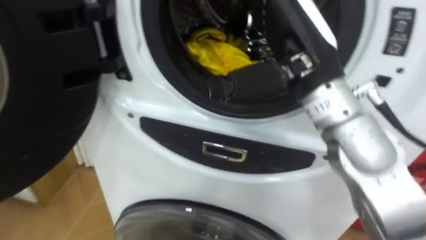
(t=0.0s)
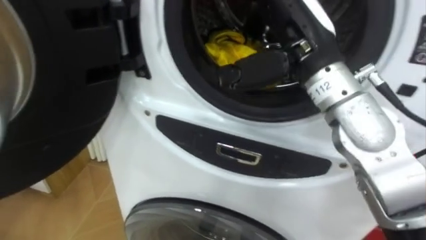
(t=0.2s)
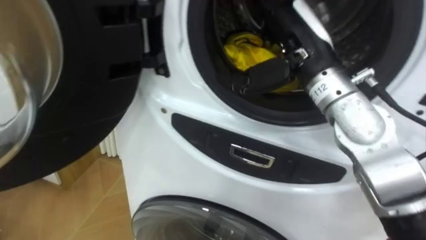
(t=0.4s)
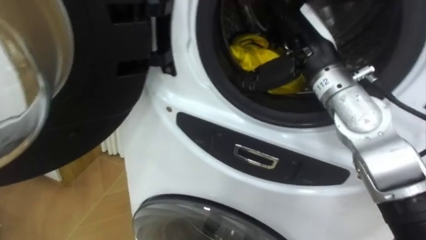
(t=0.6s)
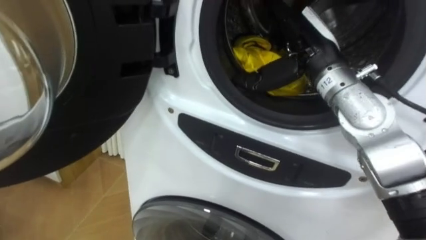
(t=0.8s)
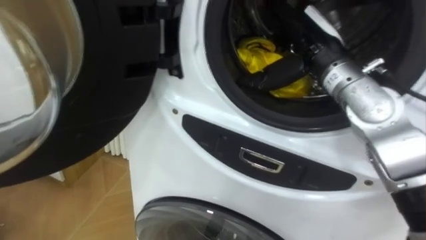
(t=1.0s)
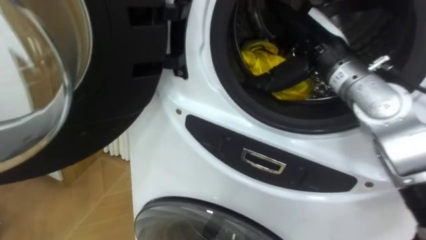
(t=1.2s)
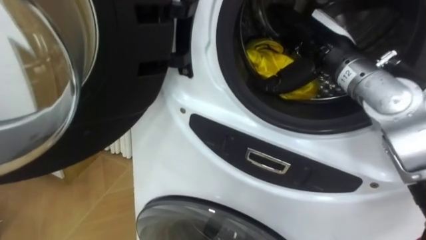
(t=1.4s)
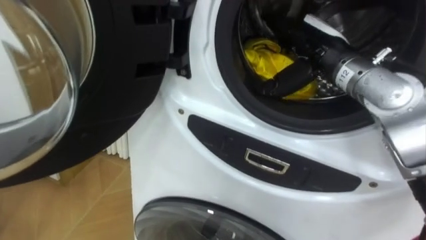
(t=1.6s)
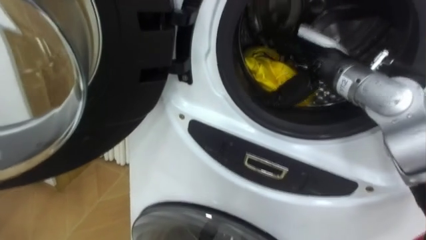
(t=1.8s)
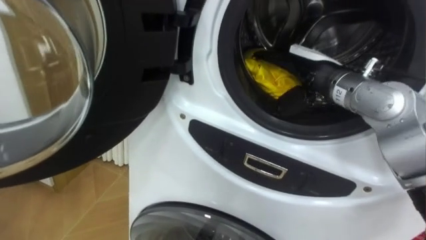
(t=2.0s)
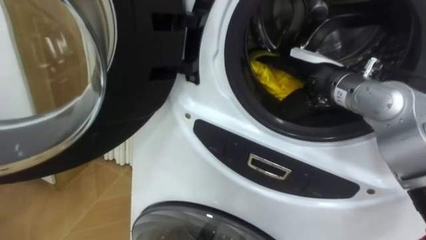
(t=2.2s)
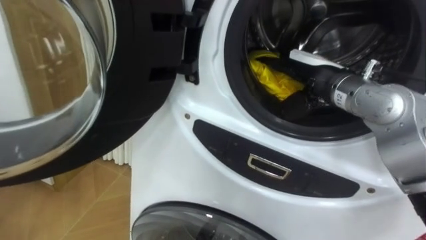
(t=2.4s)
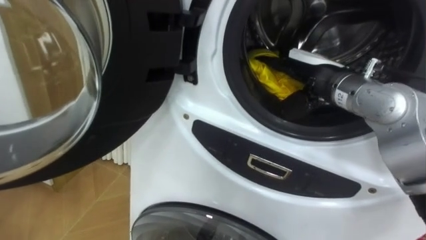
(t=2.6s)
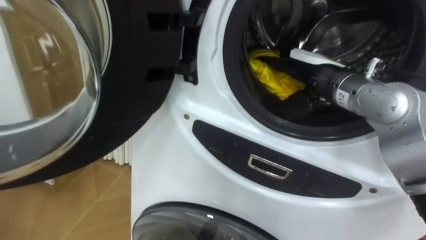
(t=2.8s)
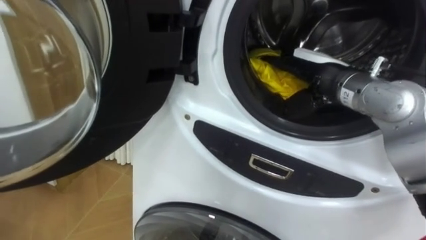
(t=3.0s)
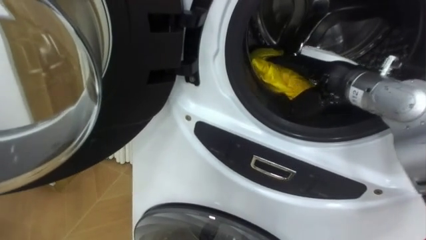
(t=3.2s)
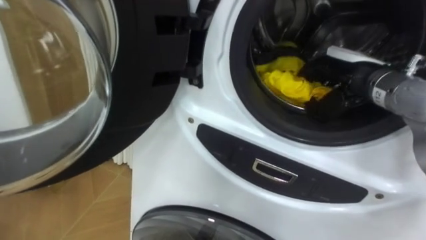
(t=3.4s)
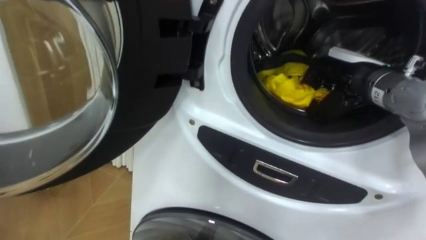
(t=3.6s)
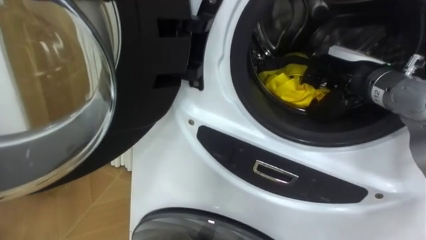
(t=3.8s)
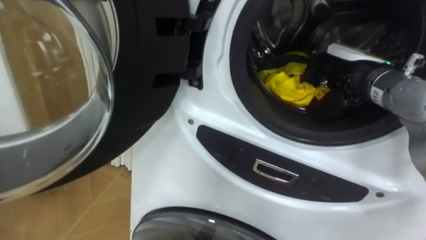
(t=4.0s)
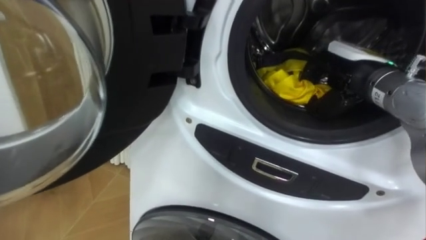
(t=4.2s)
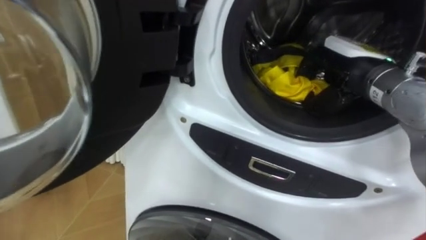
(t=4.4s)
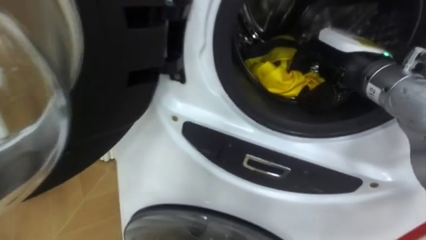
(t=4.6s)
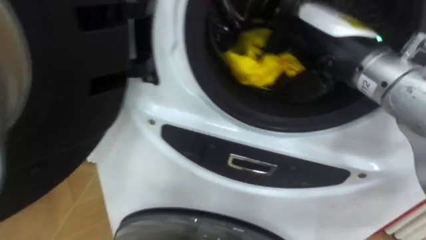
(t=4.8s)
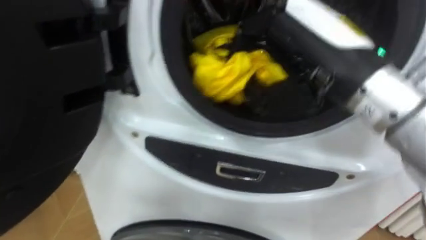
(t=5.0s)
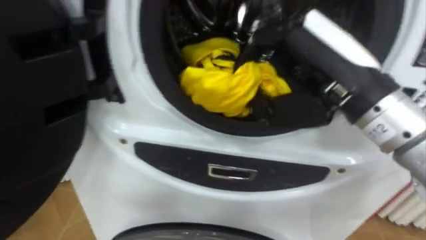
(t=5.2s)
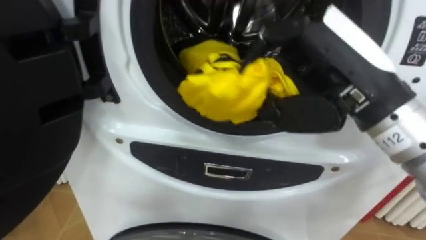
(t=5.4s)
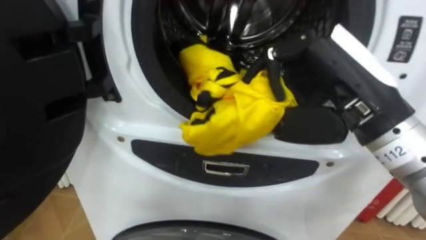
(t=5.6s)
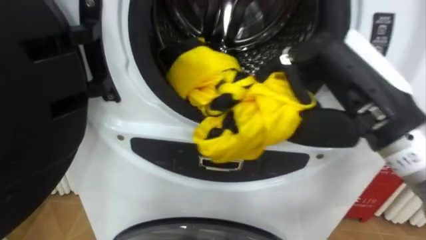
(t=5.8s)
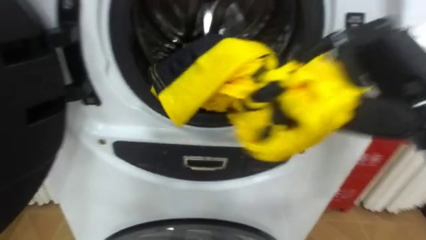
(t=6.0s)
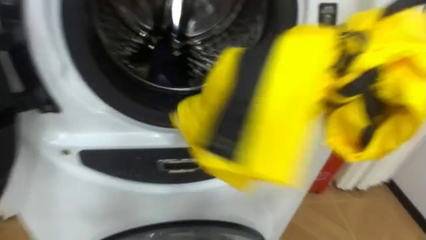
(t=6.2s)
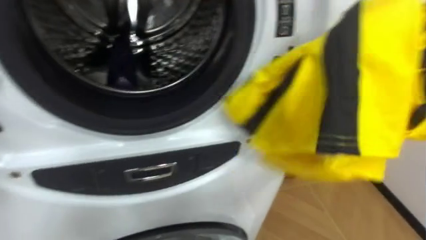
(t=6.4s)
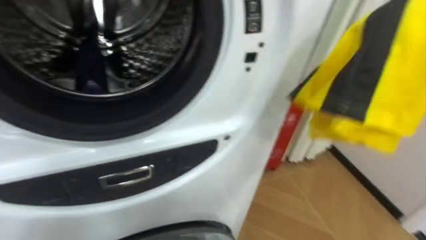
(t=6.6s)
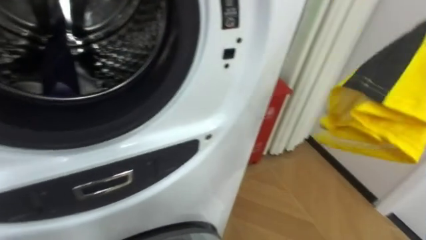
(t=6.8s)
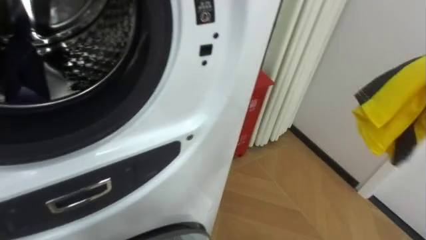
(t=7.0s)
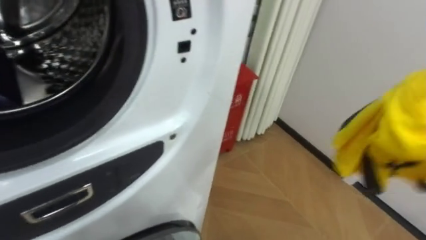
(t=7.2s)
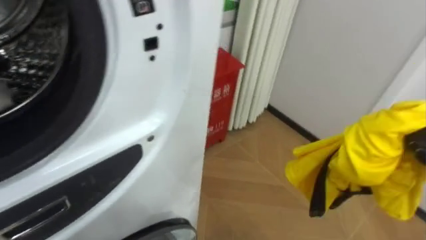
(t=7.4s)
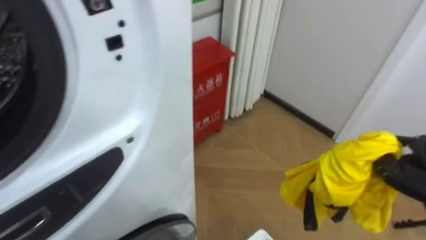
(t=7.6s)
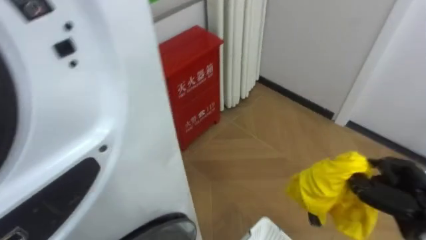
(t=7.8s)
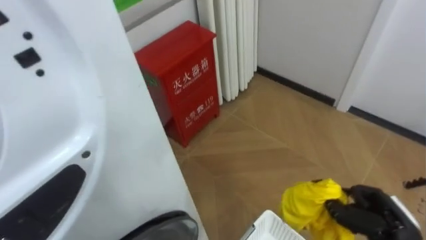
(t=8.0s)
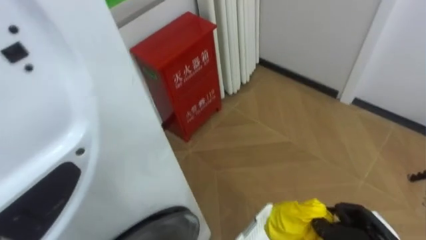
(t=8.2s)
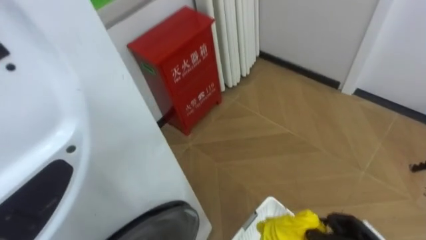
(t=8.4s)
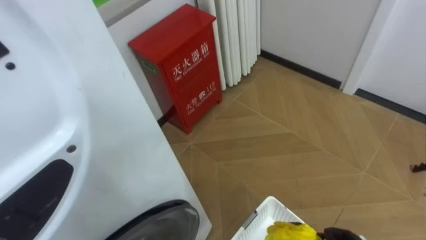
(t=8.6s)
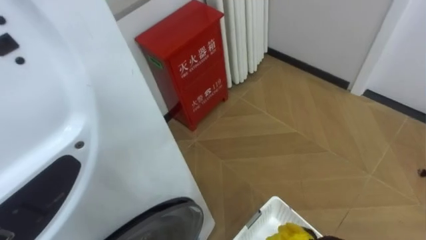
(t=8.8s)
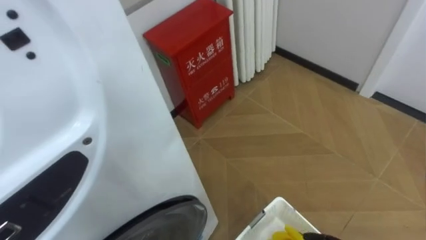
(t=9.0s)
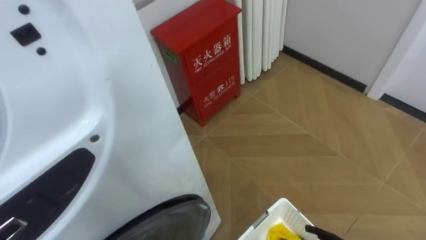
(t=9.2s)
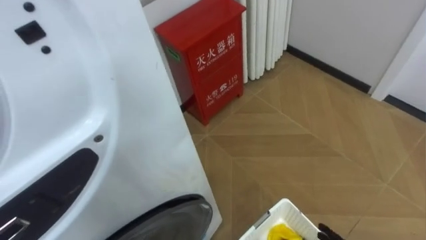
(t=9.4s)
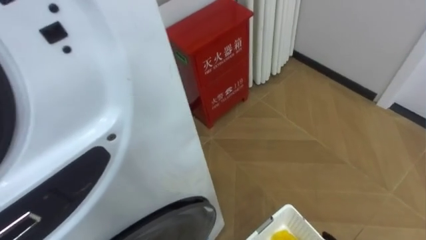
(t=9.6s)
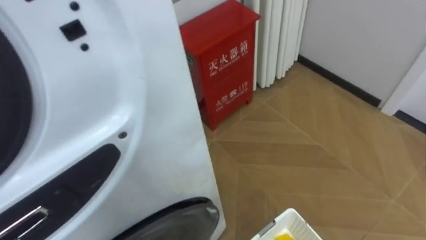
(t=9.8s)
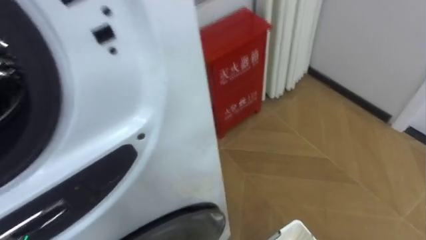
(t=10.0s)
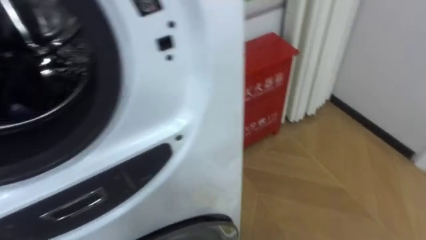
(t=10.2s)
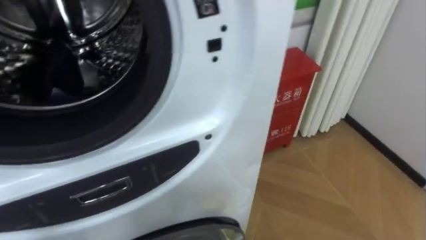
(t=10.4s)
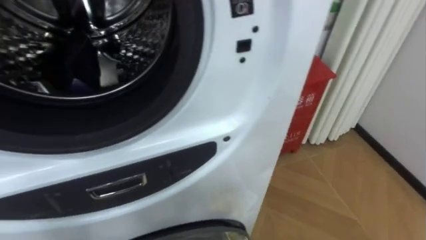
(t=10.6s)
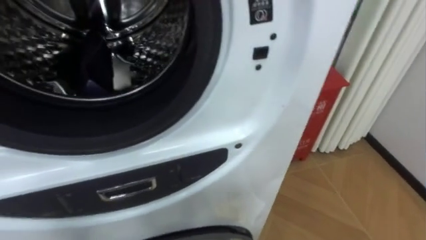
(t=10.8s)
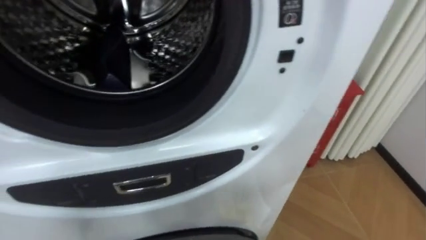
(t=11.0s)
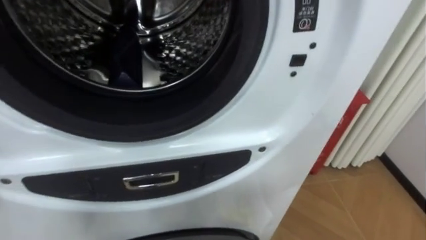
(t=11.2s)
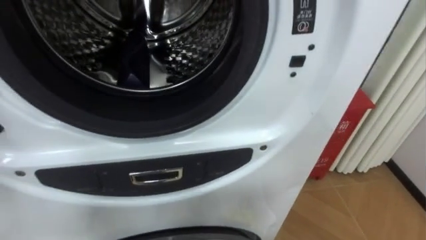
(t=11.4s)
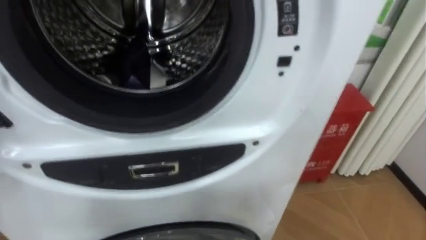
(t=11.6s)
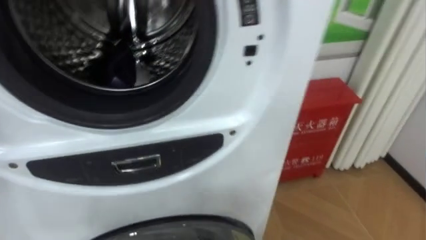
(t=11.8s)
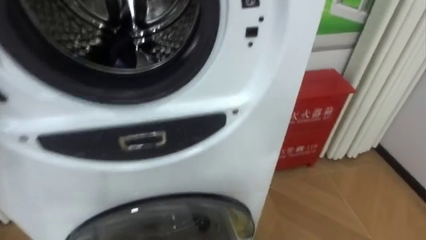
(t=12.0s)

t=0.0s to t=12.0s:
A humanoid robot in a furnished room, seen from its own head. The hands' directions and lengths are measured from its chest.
Task of the whole recording: Open the washing machine door, take out the yellow clothes, place them in the box on the right, and close the washing machine door.
t=0.0s to t=1.6s: The right hand travels forward, to the right and downward by roughly 15 cm.
t=3.0s to t=4.4s: The right hand closes.
t=4.4s to t=6.0s: The right hand goes approximately 15 cm backward and upward.
t=6.0s to t=7.6s: The robot rotates about 30 degrees to its right.

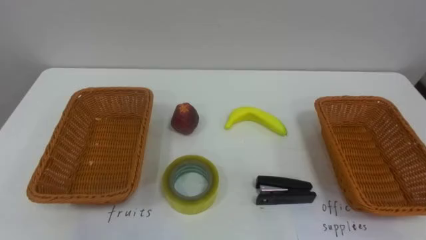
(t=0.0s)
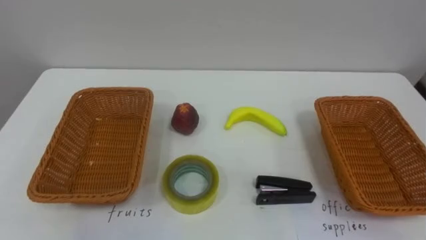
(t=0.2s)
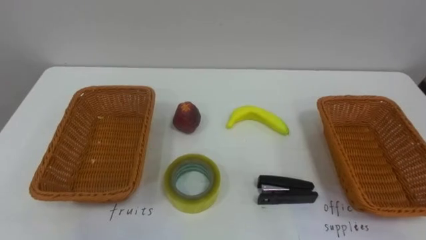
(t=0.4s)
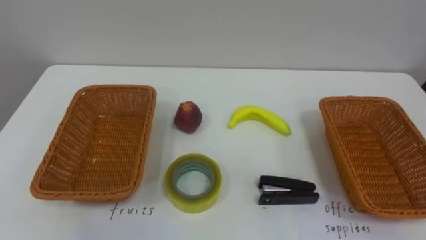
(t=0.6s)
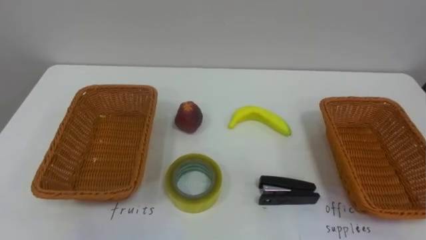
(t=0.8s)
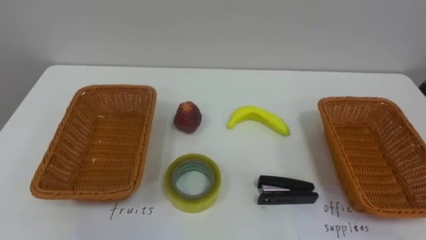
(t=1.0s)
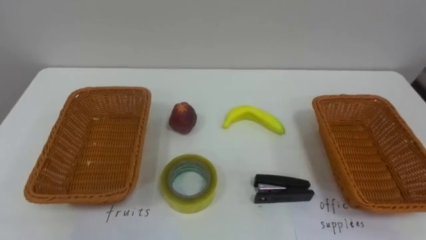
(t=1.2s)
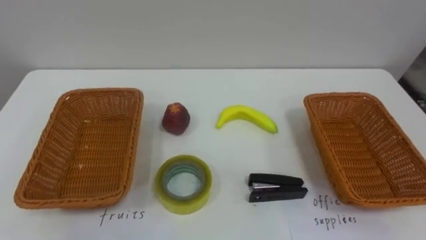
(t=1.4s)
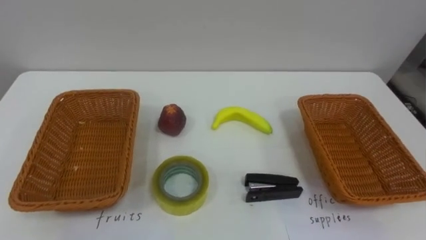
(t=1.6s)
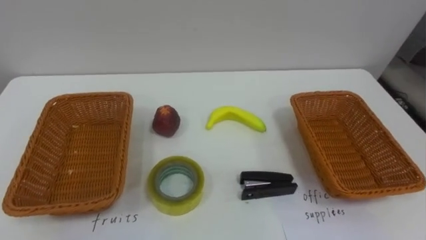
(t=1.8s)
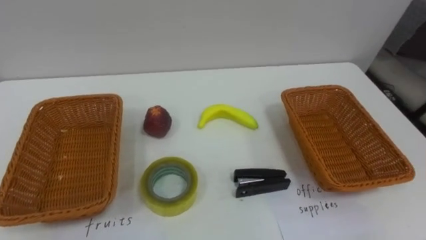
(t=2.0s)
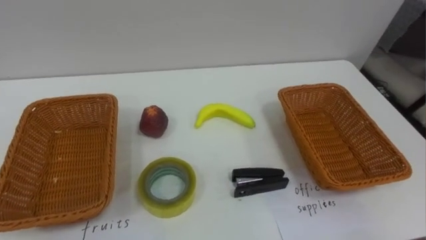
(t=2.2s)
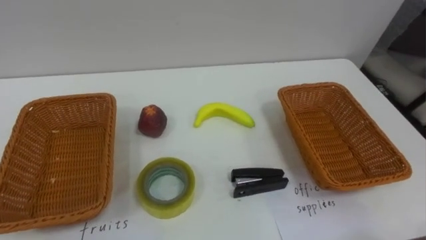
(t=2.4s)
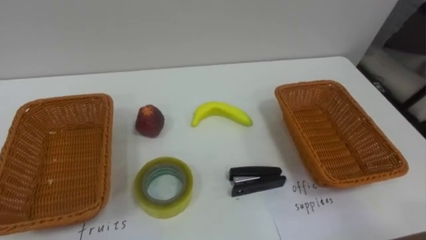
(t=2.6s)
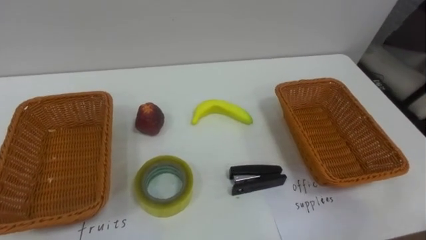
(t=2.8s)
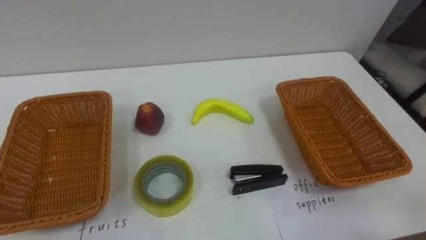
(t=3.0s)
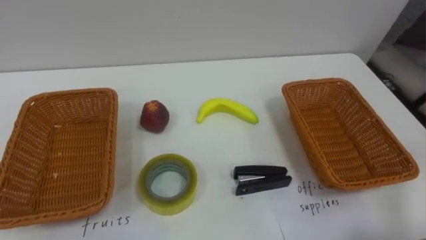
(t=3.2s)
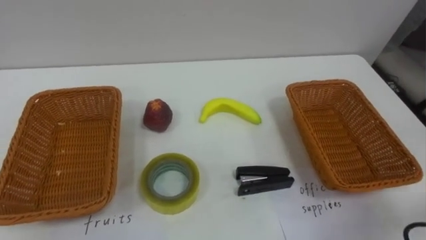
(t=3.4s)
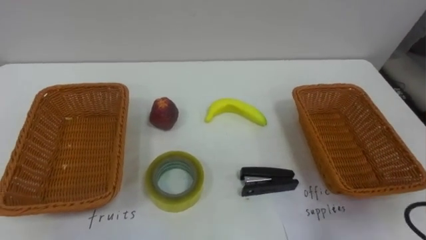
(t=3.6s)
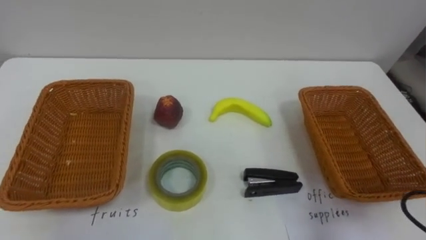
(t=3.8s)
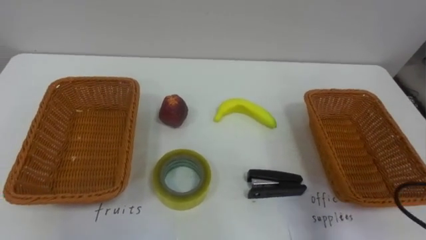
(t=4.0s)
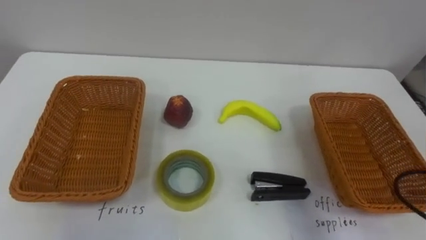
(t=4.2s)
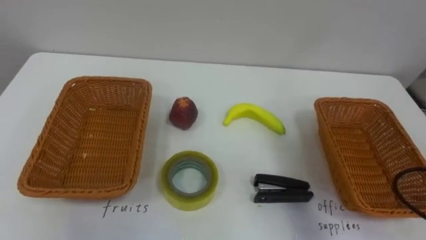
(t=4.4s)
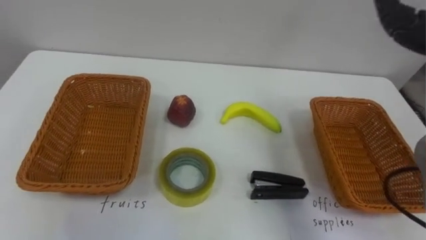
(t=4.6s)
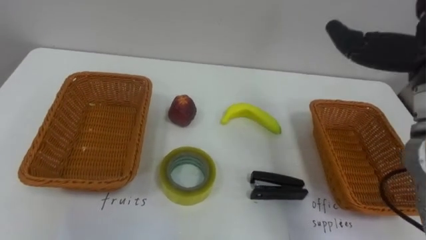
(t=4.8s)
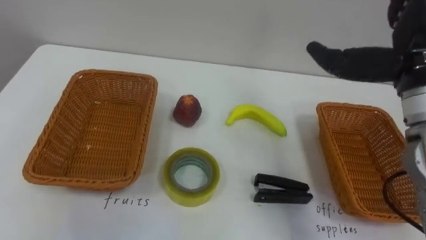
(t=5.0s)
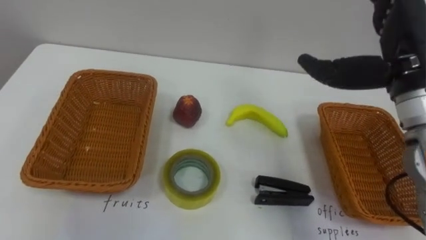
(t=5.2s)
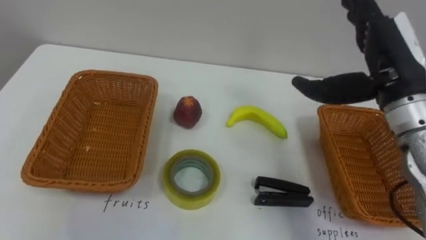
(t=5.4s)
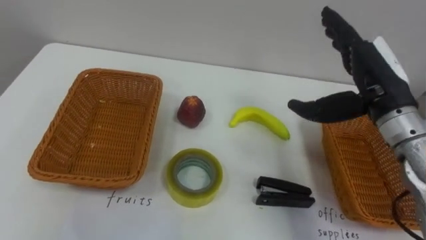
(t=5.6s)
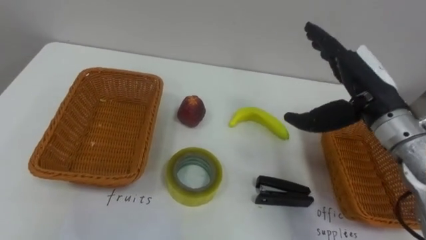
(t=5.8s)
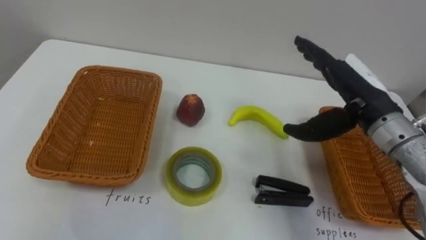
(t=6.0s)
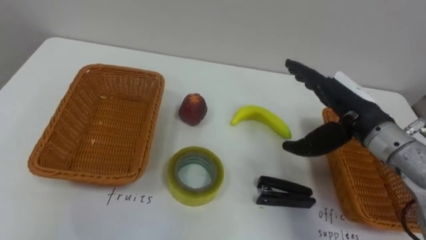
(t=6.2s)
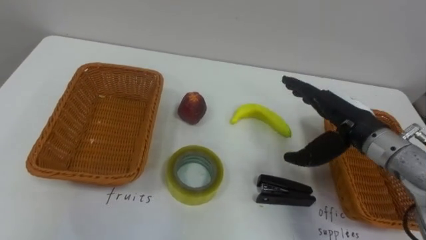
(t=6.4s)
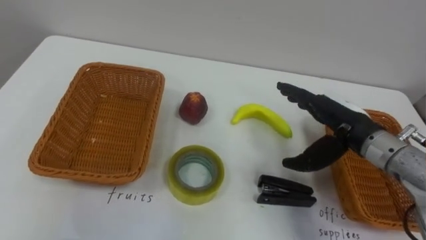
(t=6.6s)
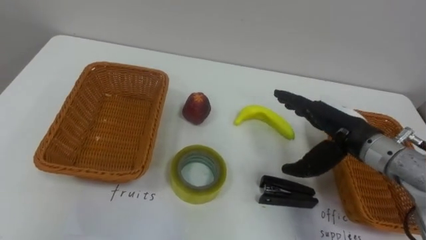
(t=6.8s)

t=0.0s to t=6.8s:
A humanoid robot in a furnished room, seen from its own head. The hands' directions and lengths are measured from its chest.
Task of the whole recording: Separate the items on the table and place them into the two baskets.
t=5.4s to t=6.8s: The right hand shifts approximately 10 cm downward.
